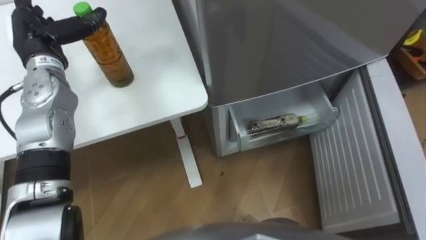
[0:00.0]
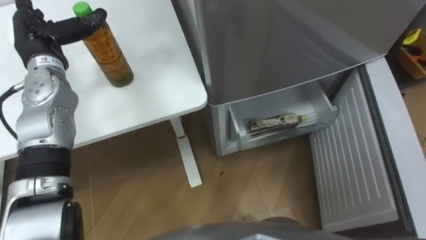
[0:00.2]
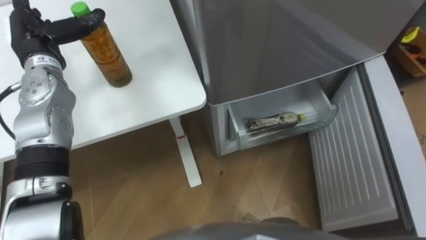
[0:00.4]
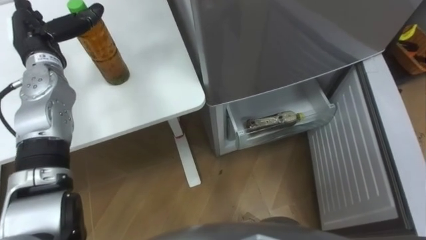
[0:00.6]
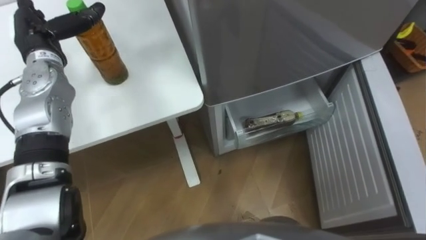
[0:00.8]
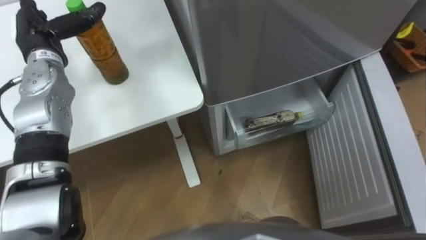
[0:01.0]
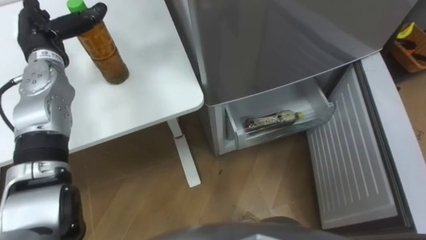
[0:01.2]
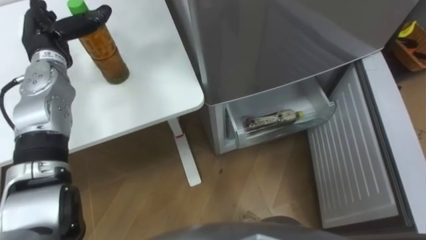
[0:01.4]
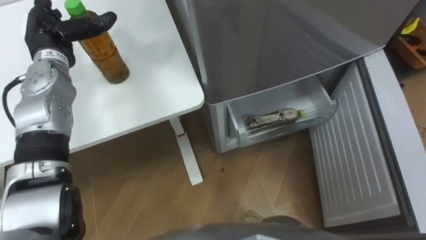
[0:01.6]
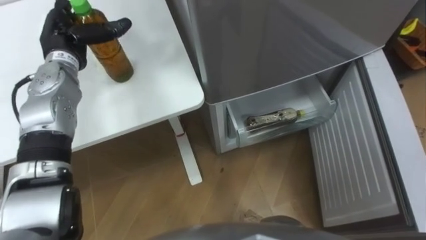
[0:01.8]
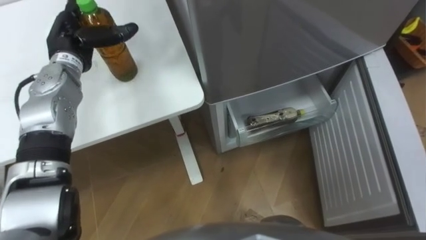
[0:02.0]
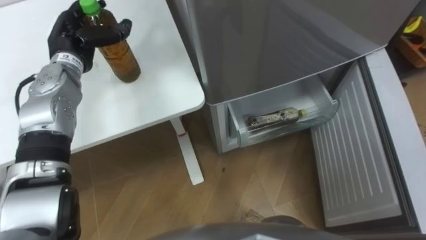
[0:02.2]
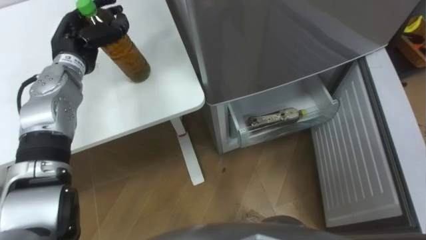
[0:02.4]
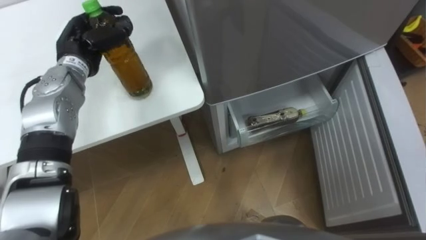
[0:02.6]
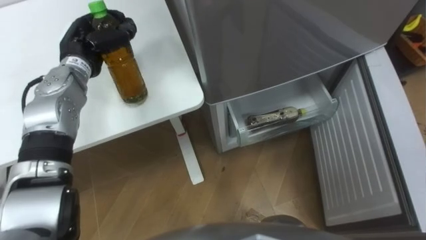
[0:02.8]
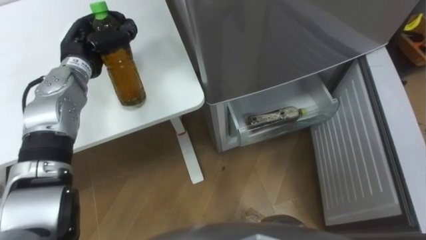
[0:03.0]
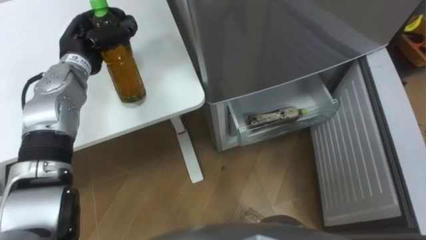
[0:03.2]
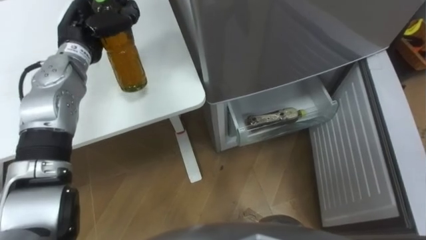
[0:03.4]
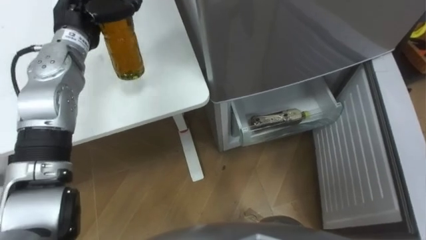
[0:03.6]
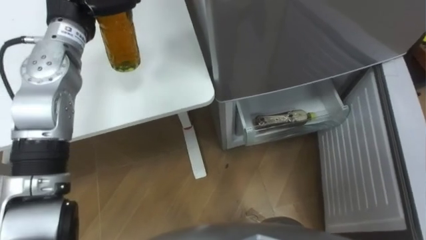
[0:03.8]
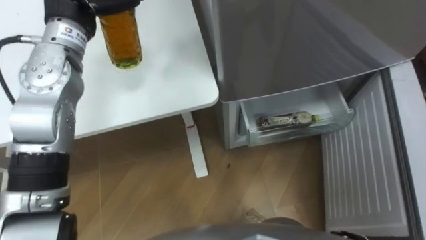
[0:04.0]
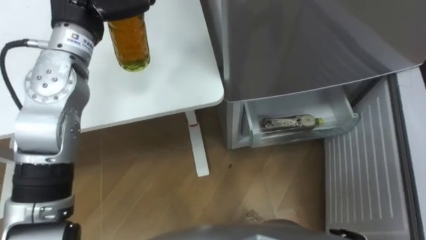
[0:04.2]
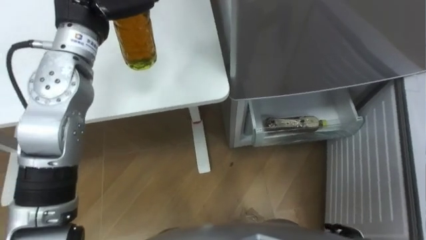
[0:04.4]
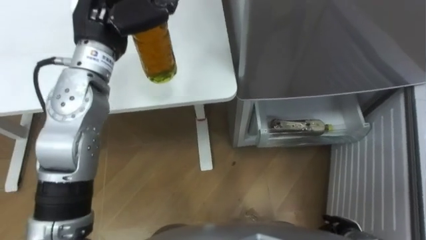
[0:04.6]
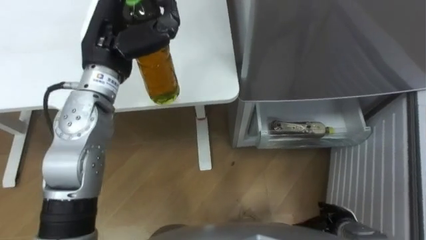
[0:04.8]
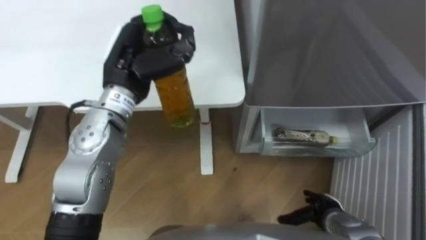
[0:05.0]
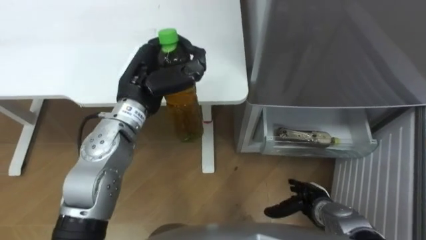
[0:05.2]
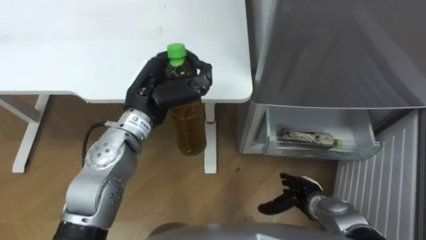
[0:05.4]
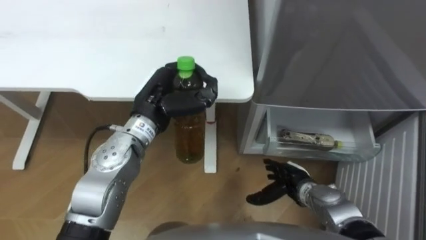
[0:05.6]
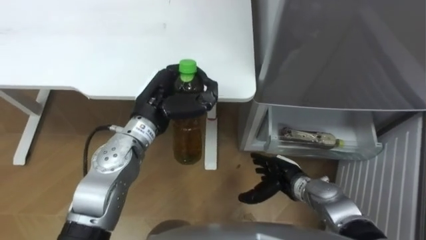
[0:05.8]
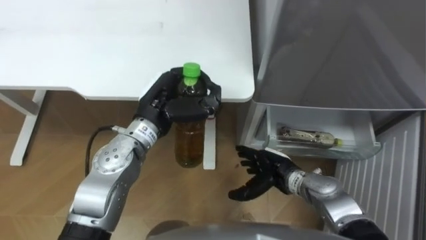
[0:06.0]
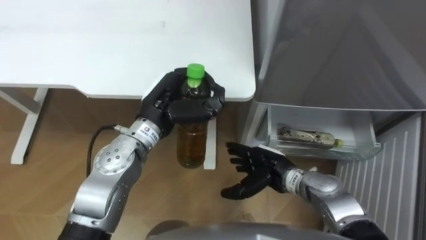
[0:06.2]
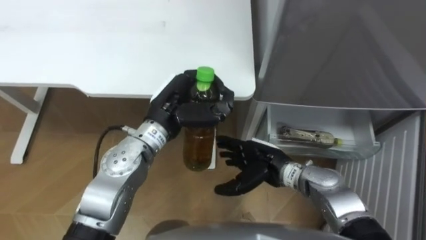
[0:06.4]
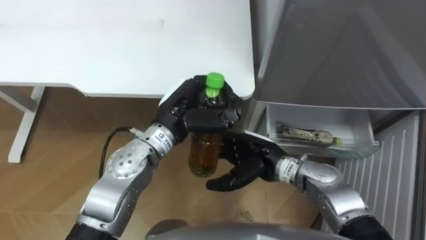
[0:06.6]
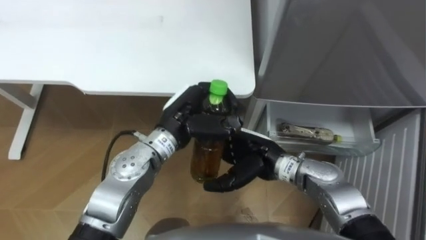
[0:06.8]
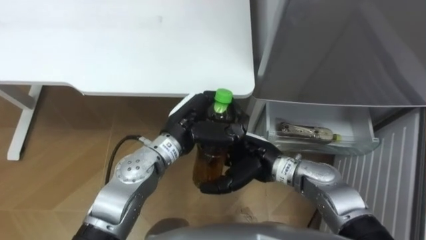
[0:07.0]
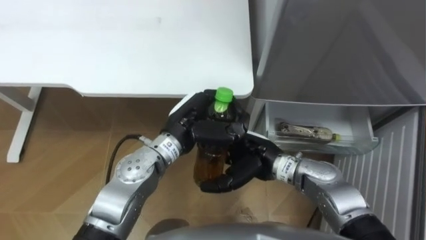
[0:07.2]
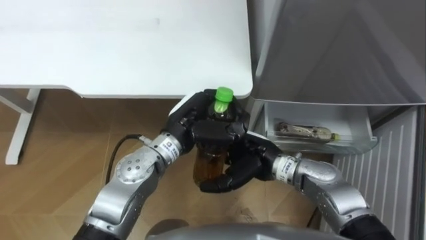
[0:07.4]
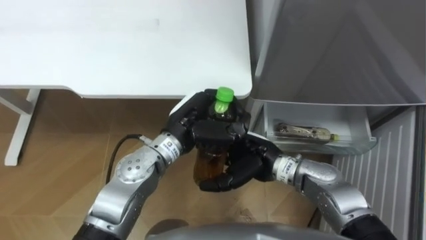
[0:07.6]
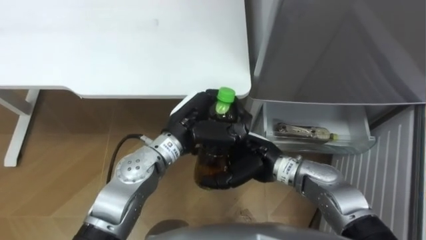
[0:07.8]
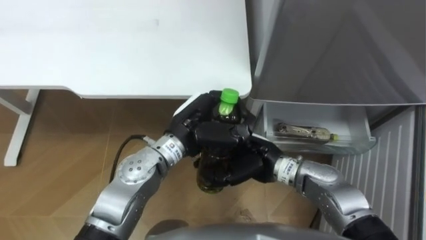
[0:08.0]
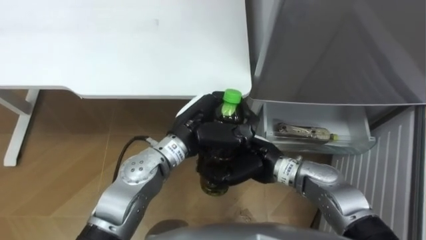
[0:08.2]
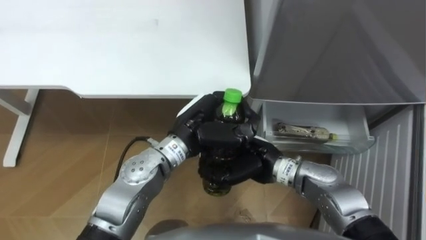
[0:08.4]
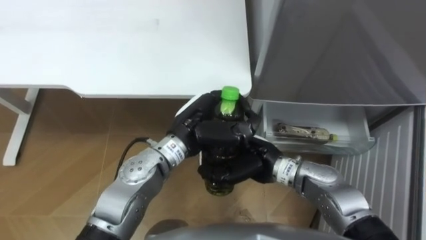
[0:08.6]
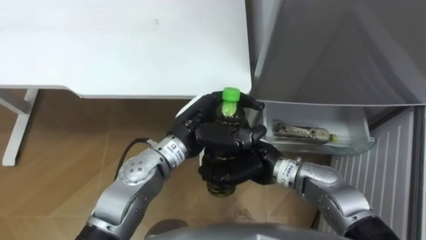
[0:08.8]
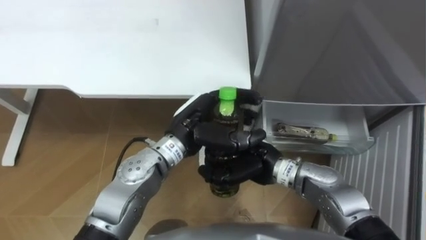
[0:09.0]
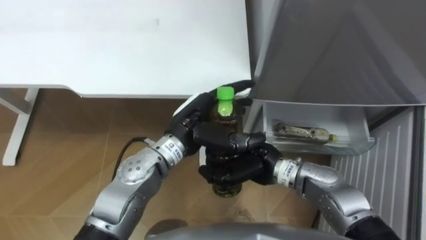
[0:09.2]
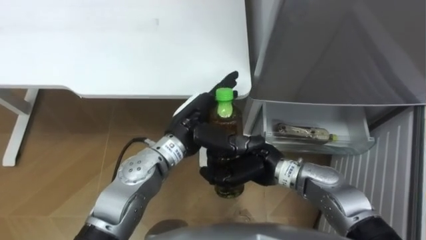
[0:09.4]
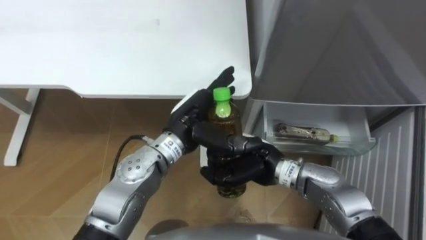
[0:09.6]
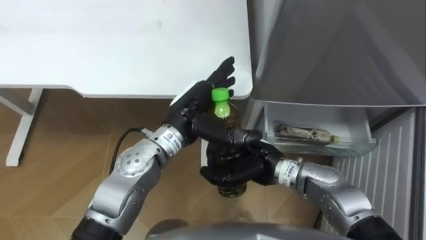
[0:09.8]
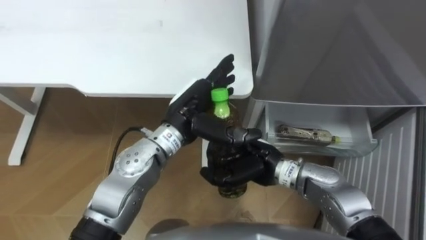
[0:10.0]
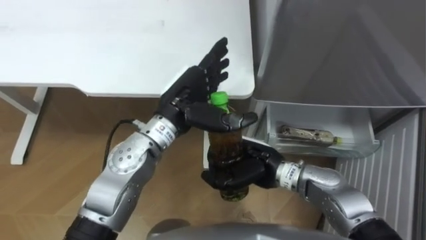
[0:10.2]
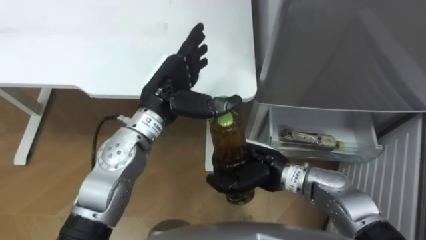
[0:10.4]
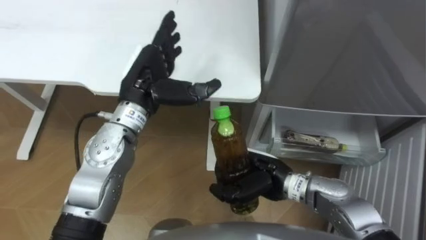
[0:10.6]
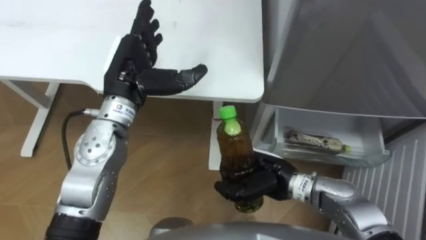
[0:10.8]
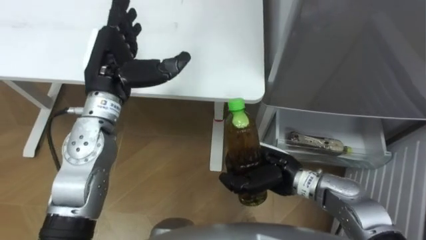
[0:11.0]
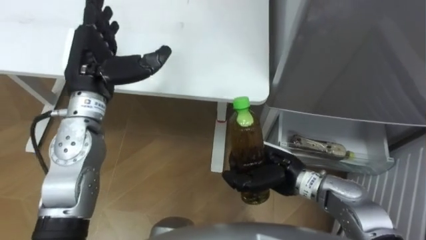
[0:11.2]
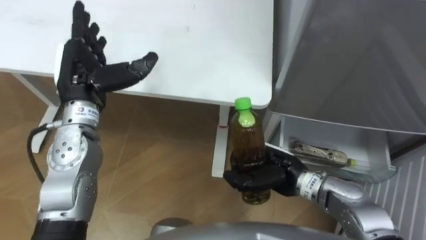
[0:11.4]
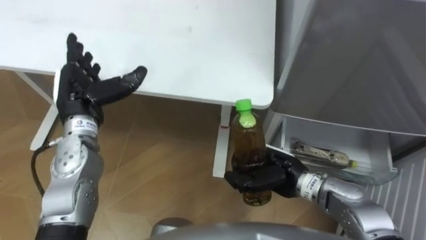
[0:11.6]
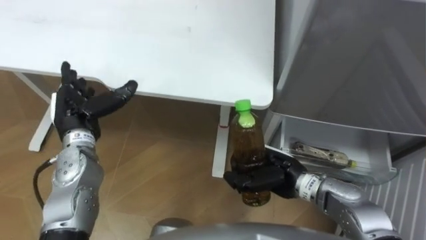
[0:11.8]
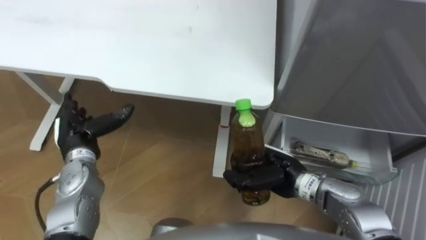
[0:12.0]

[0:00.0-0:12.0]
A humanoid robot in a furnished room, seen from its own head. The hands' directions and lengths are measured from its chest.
Task of the whole recording: Place the drink on the table on the bottom shelf of the refrigerator, then close the drawer and the refrigerator door.
0:01.6 to 0:03.0: The left hand changes place by about 5 cm, and closes up.
0:04.4 to 0:06.0: The left hand moves downward, to the right and backward, approximately 20 cm.
0:06.0 to 0:07.6: The left hand is displaced to the right by about 5 cm. Meanwhile the right hand heads upward and to the left, covering approximately 10 cm.
0:07.6 to 0:09.0: The left hand opens; the right hand closes up.
0:09.0 to 0:10.4: The left hand changes place by some 10 cm, and opens up.
0:10.4 to 0:12.0: The left hand is displaced to the left and downward by about 20 cm.

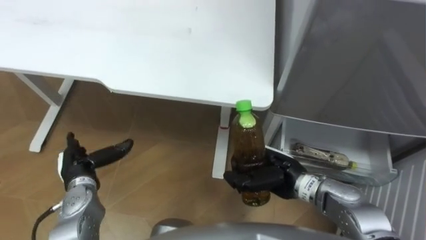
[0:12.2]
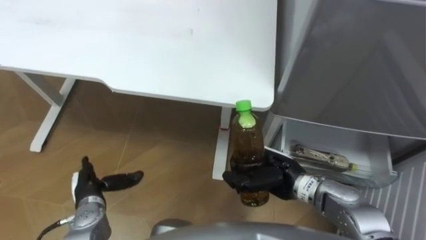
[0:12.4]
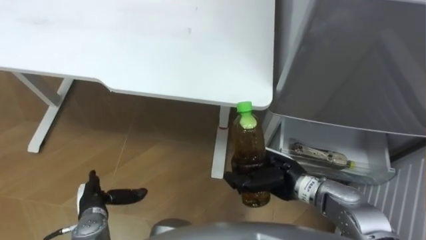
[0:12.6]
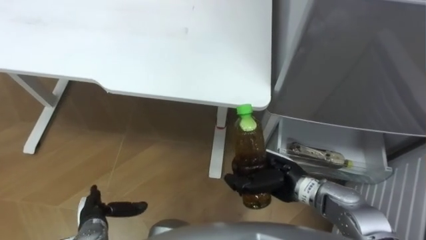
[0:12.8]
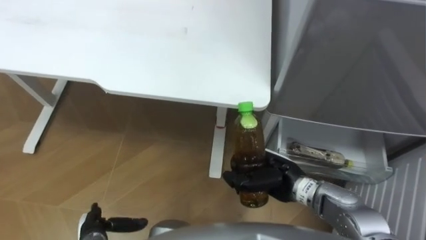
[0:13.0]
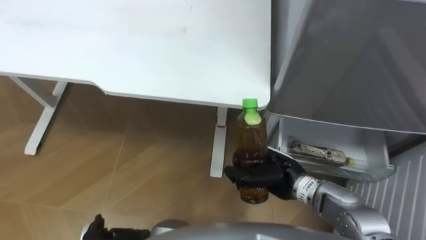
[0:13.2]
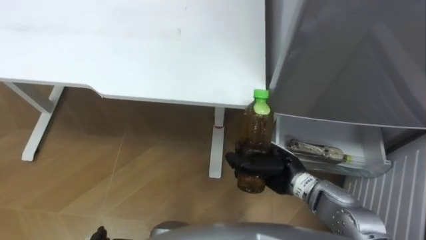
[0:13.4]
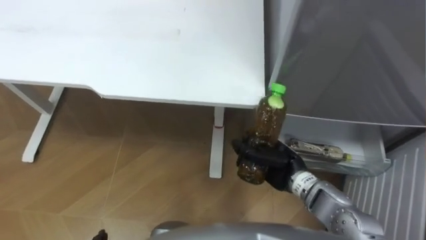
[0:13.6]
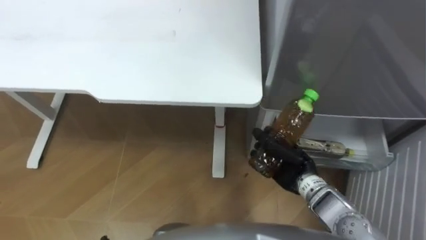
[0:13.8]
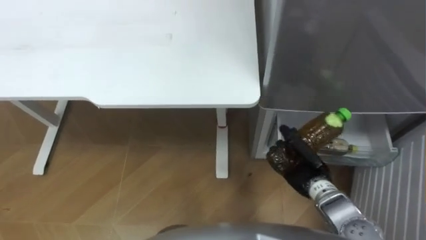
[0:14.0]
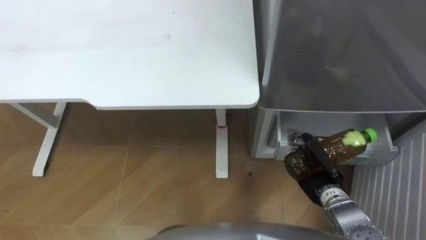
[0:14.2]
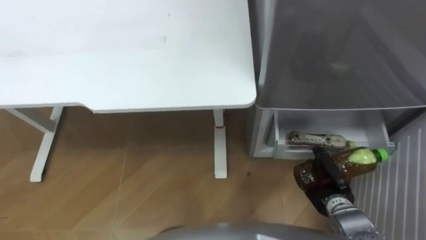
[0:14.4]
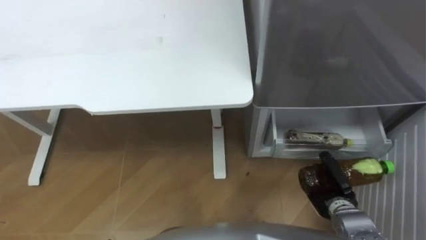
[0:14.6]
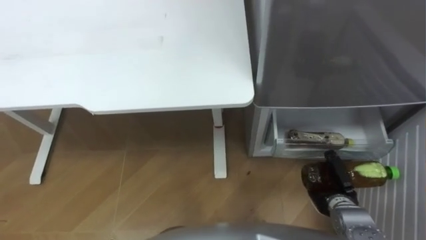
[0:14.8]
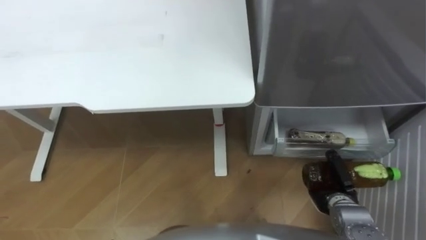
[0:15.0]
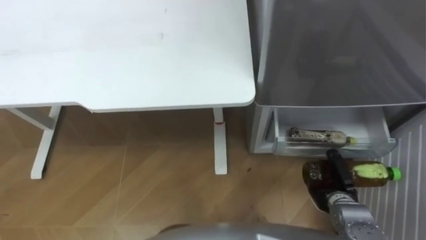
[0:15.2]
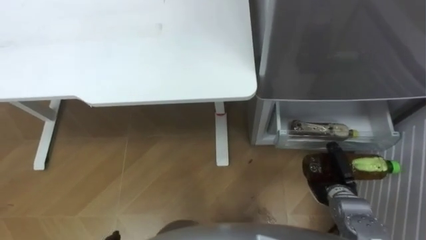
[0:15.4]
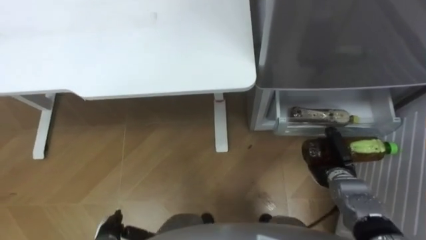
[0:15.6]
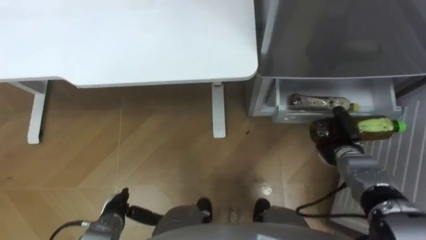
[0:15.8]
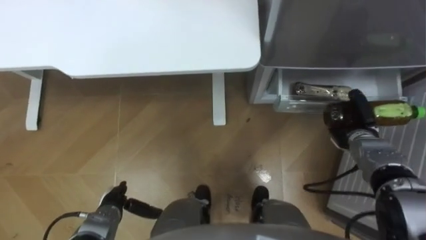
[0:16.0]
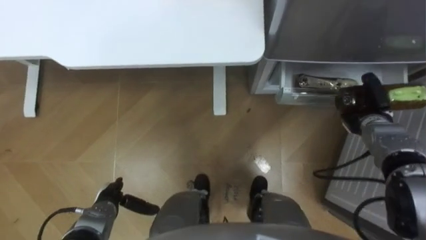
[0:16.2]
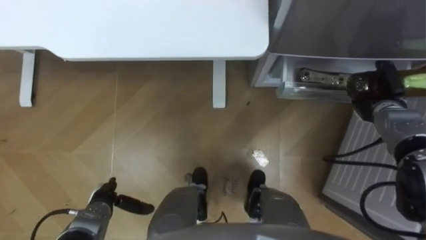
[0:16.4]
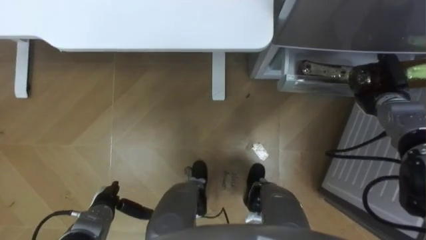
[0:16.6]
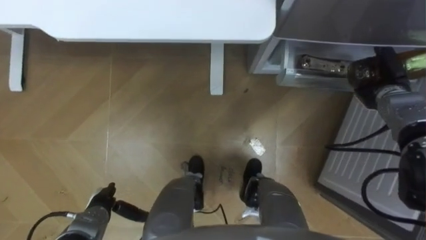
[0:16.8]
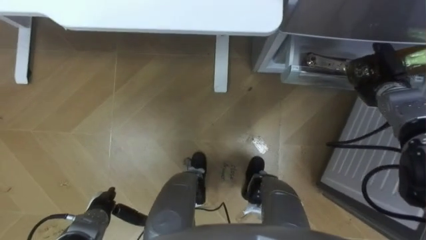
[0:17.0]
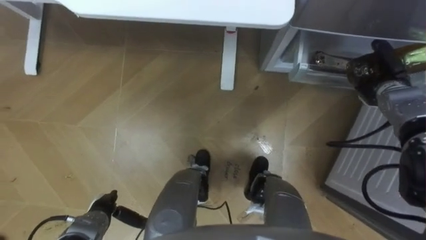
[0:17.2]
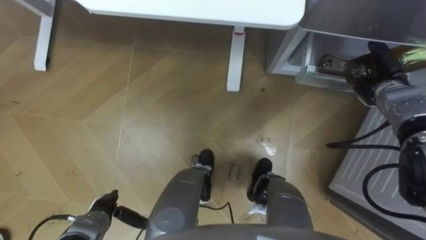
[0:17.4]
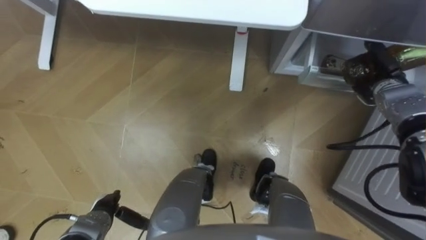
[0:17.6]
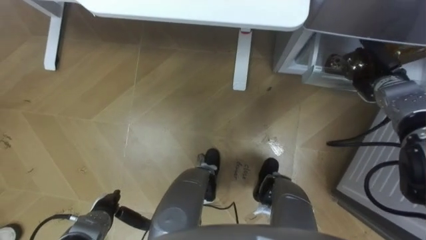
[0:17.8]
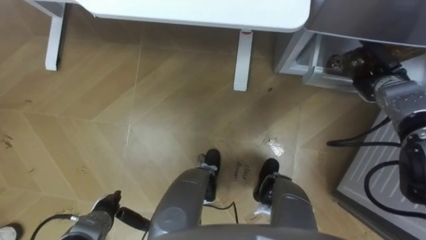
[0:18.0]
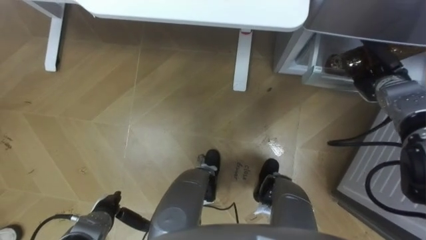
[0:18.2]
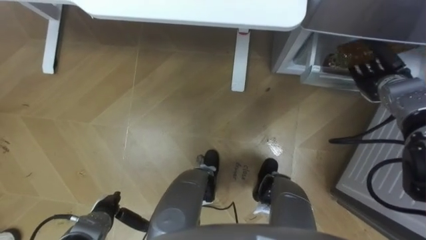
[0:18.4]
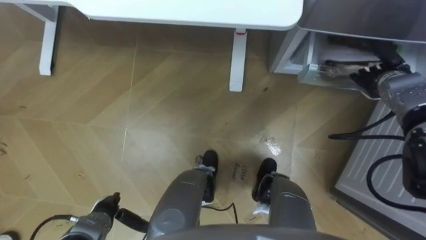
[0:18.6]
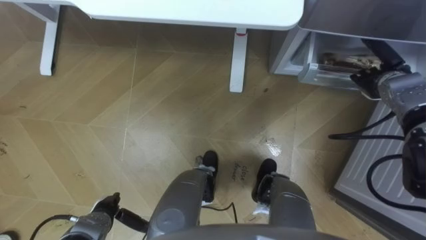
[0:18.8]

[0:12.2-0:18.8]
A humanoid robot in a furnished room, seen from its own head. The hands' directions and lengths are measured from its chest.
Task of the whole recording: Place the drink on the table on the bottom shelf of the refrigerator, then close the drawer and the refrigerator door.
0:13.8 to 0:15.4: The right hand is displaced to the right and downward by about 10 cm.
0:15.4 to 0:17.2: The right hand heads forward, upward and to the right, covering roughly 25 cm.
0:17.2 to 0:18.8: The right hand opens its fingers.
